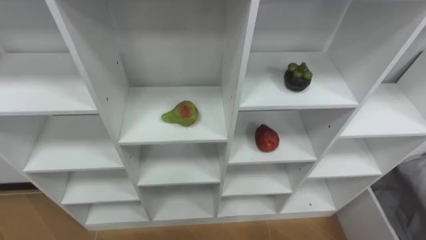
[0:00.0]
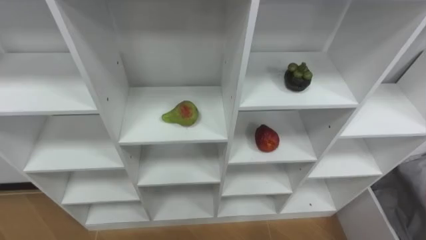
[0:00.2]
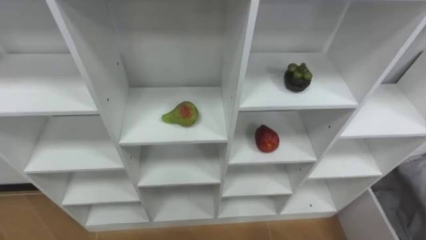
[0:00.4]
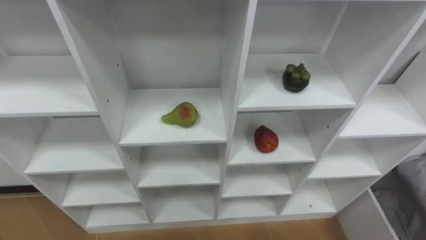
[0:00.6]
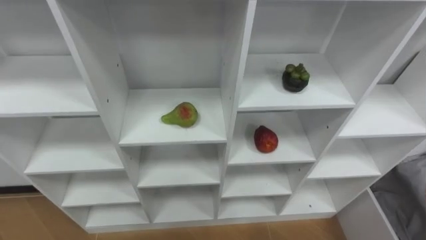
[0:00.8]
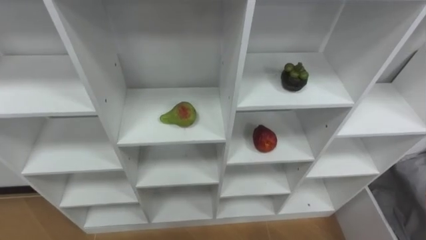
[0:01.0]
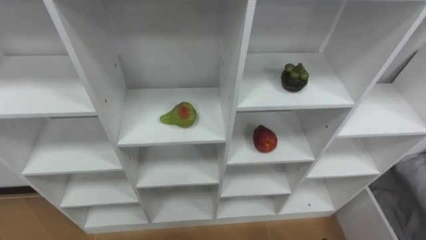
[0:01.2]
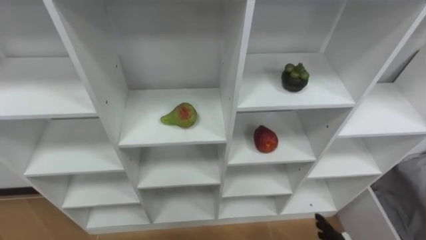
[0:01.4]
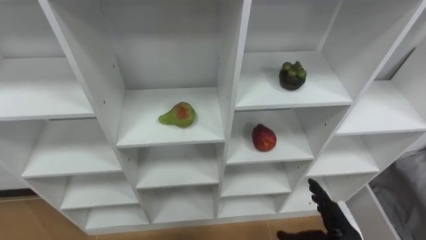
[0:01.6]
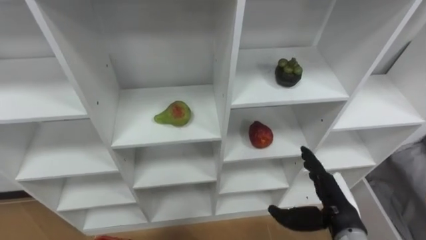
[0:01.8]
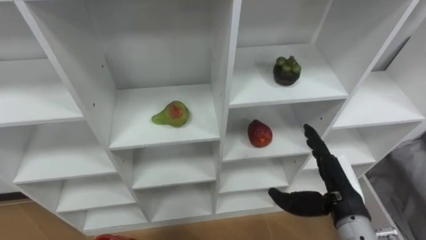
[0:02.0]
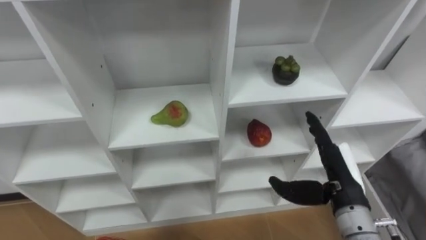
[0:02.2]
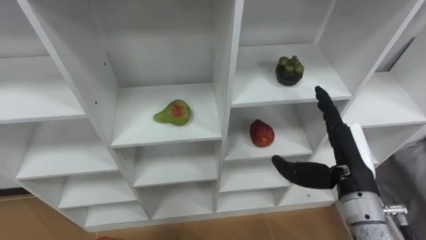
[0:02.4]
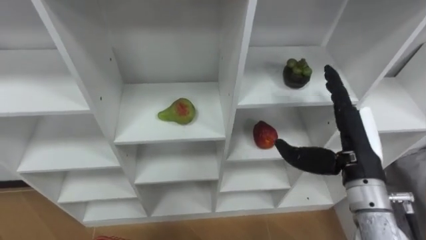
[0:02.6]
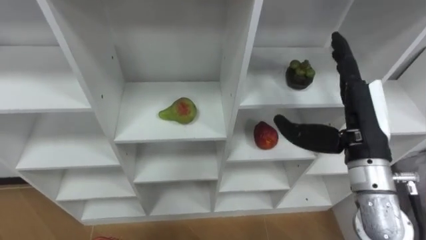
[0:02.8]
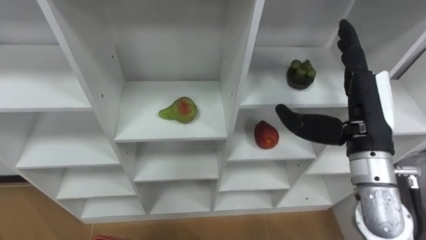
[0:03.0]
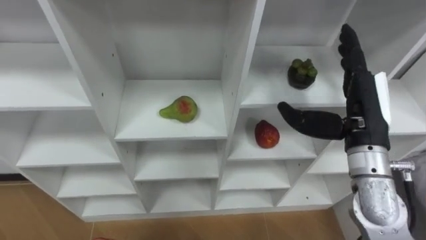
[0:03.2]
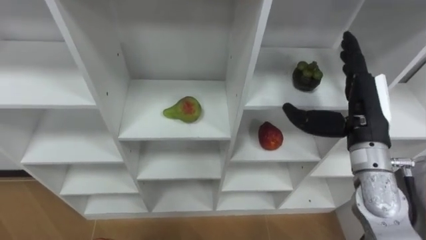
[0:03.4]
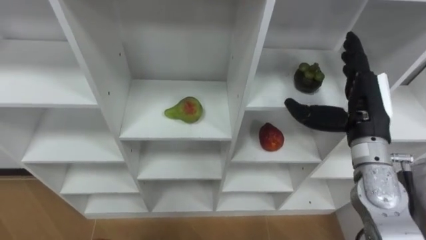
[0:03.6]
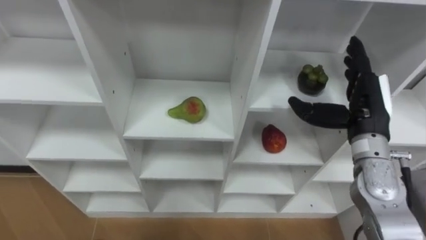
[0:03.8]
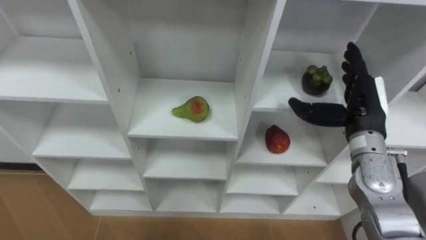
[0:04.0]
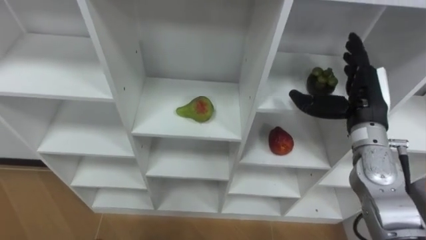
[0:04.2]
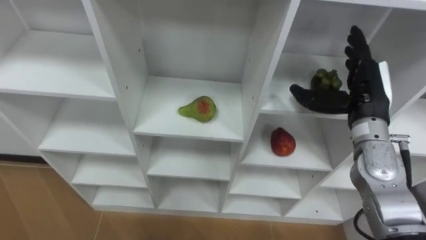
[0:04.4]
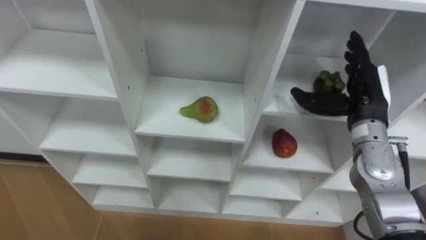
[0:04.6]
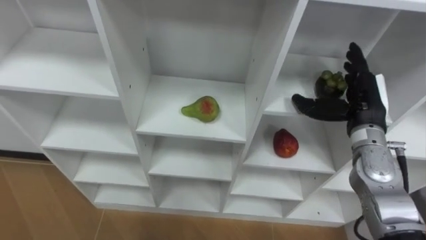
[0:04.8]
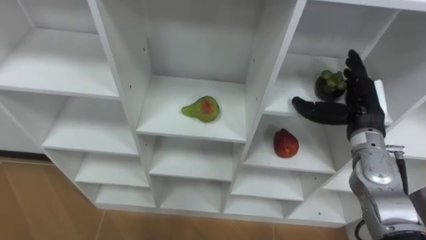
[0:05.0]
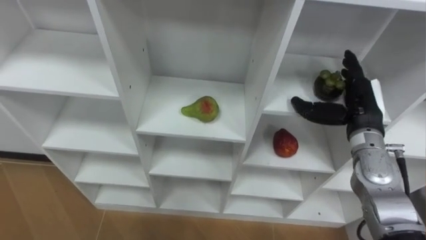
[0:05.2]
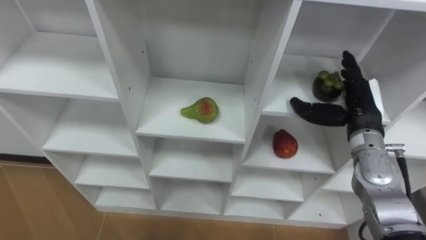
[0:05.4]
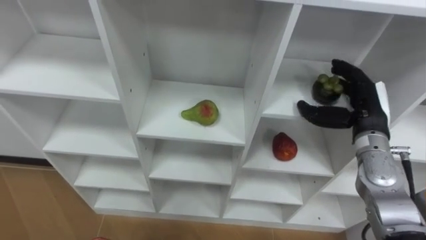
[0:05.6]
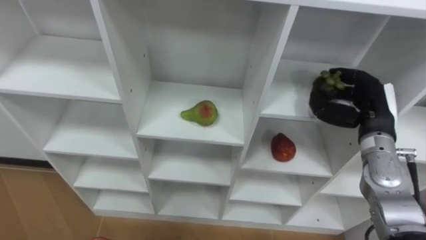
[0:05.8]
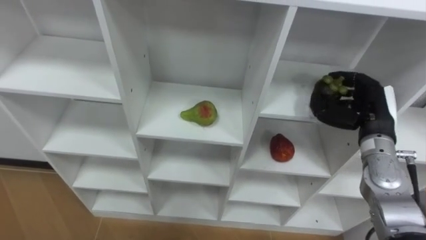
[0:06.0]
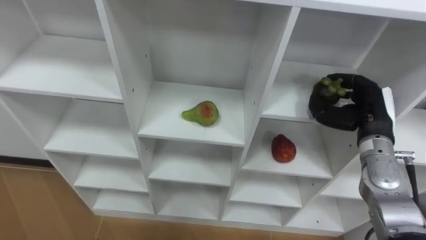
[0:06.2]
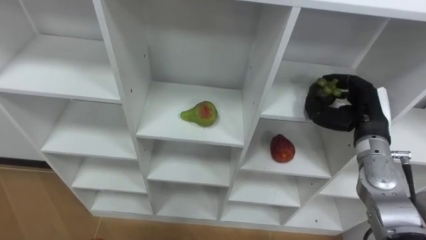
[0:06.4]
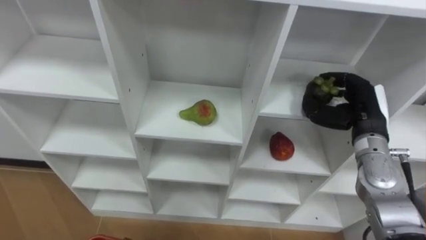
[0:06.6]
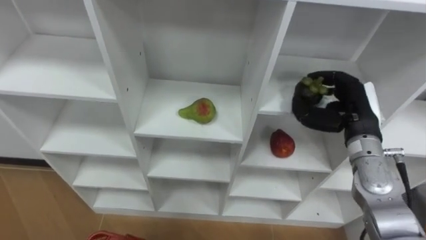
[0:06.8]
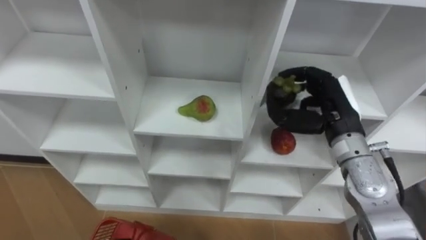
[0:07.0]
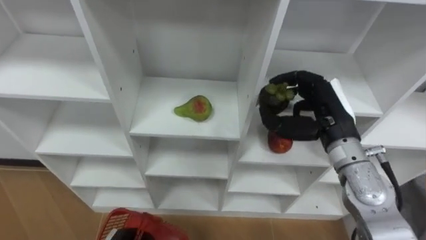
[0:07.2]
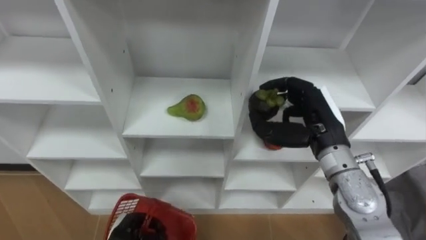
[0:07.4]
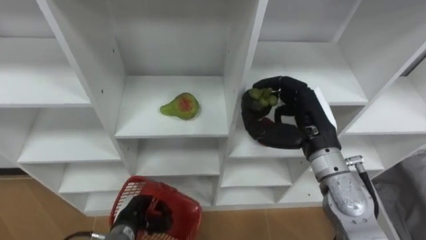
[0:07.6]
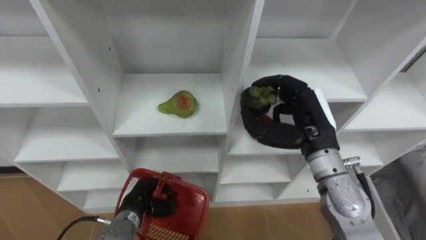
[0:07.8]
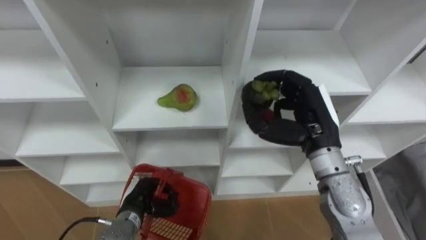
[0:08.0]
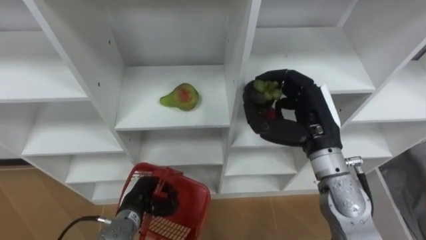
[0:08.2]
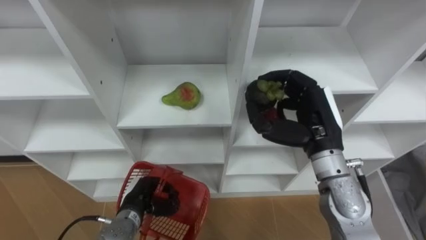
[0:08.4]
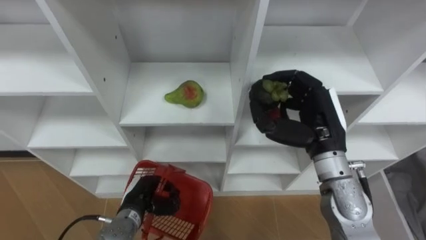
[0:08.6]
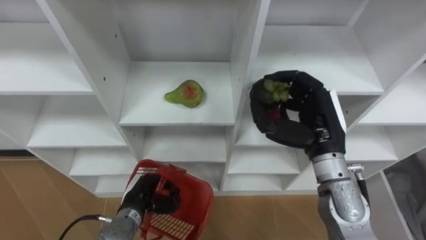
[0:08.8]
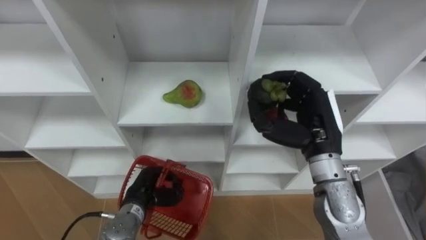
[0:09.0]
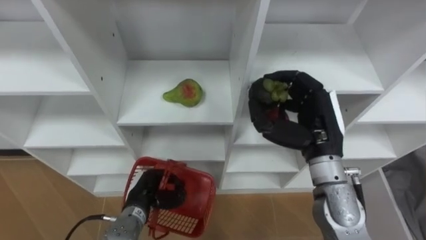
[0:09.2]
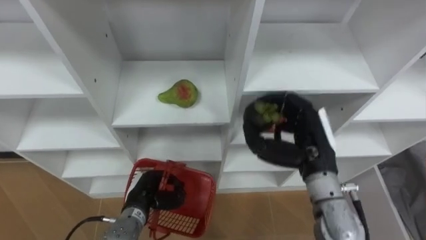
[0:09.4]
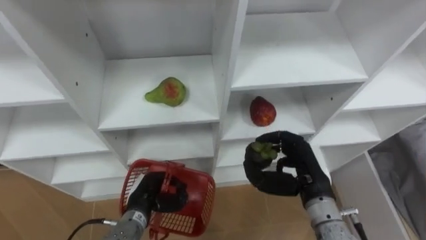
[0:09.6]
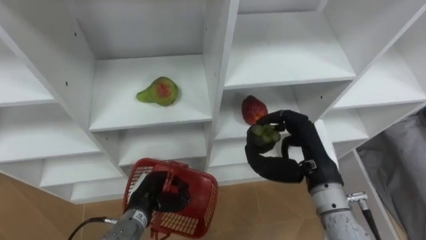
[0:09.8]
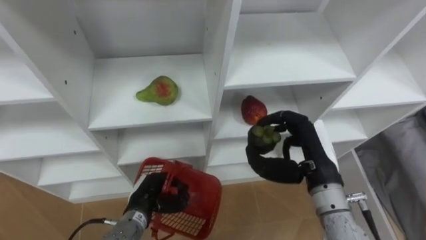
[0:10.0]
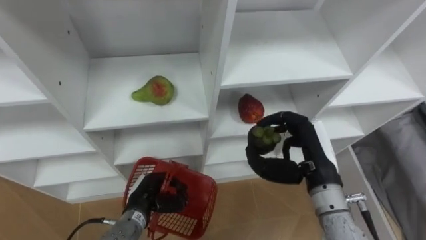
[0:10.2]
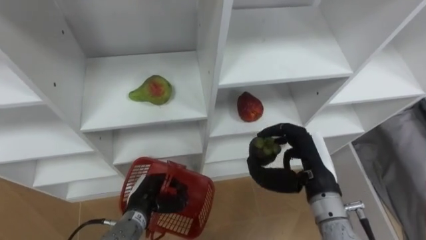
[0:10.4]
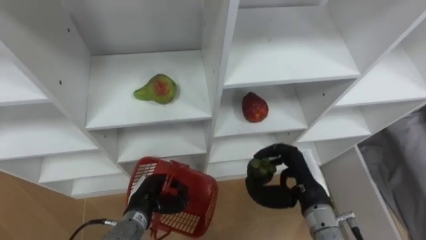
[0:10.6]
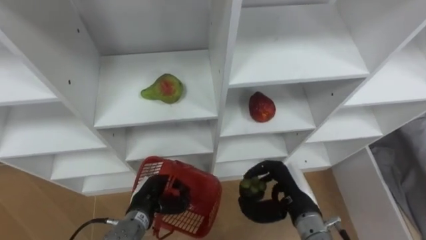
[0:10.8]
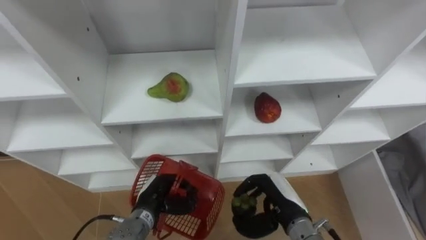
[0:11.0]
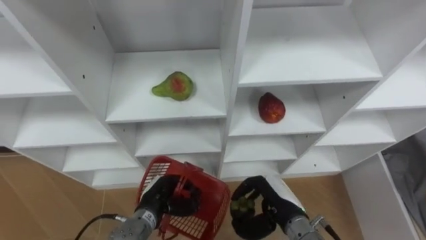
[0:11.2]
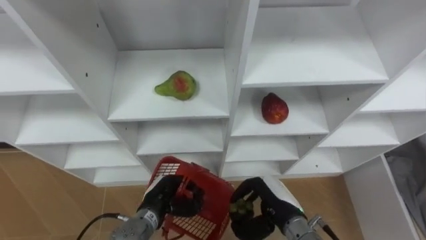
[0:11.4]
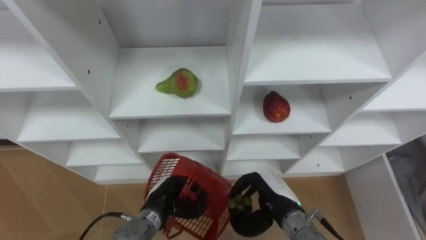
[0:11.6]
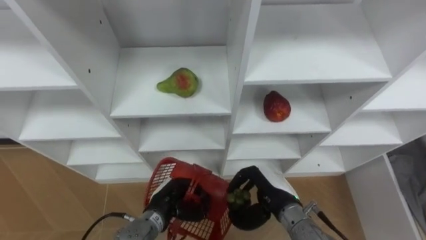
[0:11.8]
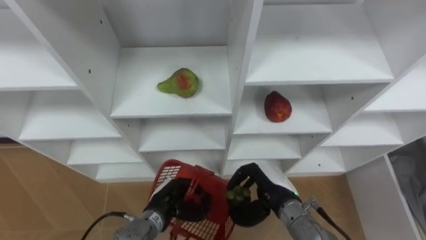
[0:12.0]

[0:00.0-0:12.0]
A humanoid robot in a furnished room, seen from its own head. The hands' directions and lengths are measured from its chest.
Task of the whole recording: Hold the basket and collect the fruits from 3 different cells of the closet into it.
0:01.6 to 0:03.0: The right hand is displaced upward and forward by roughly 25 cm.
0:03.0 to 0:04.4: The right hand heads forward, covering about 5 cm.
0:04.4 to 0:06.0: The right hand heads downward, covering roughly 5 cm, and closes.
0:06.0 to 0:07.6: The right hand is displaced to the left by about 10 cm.
0:07.6 to 0:09.0: The left hand moves some 5 cm.
0:09.0 to 0:10.4: The right hand moves roughly 5 cm.
0:10.4 to 0:12.0: The right hand heads downward and to the left, covering roughly 10 cm.

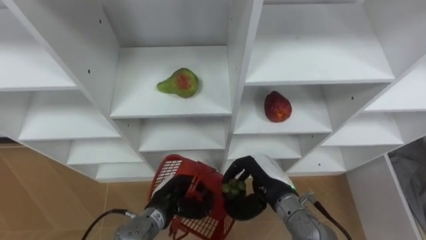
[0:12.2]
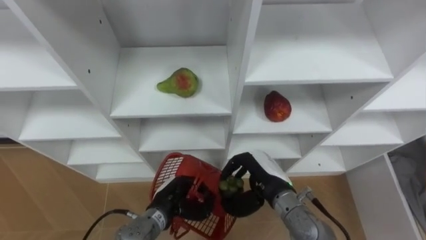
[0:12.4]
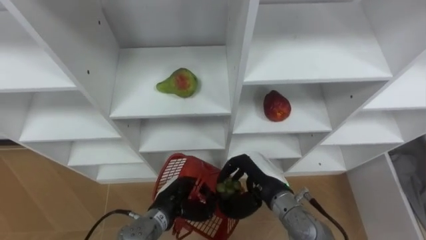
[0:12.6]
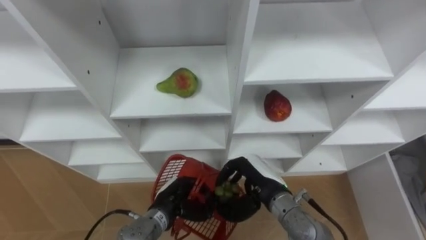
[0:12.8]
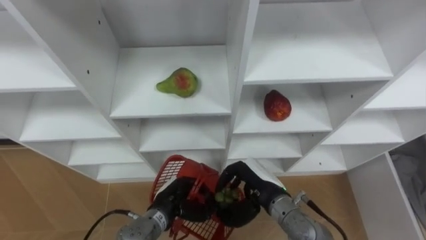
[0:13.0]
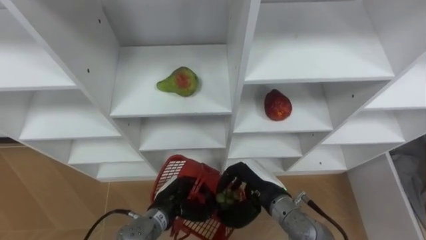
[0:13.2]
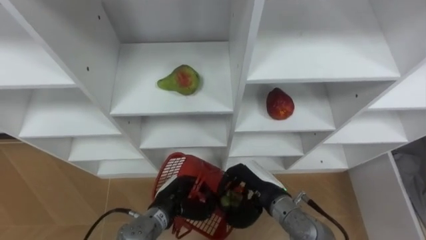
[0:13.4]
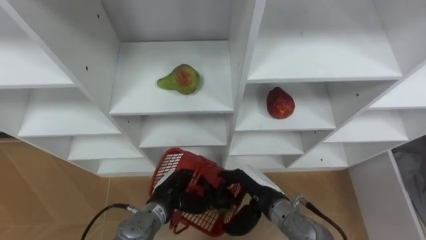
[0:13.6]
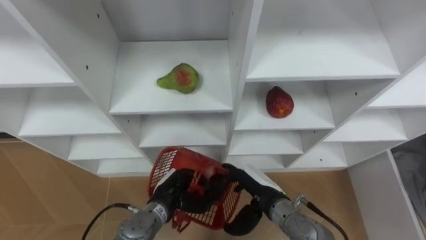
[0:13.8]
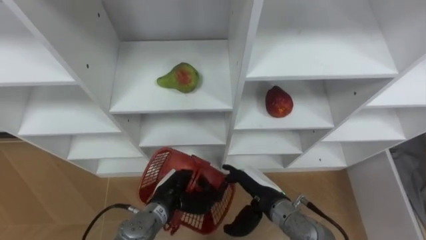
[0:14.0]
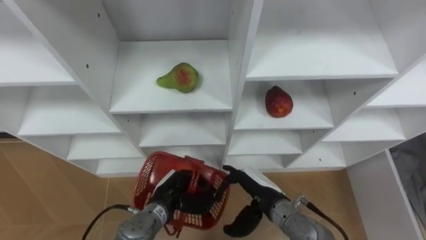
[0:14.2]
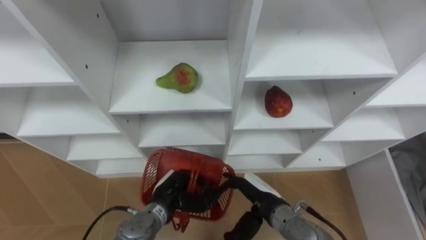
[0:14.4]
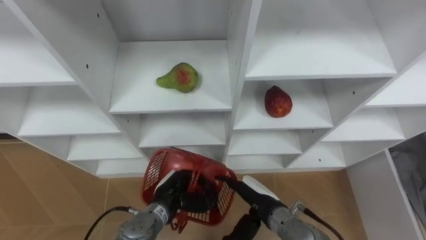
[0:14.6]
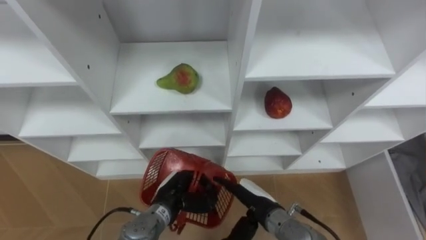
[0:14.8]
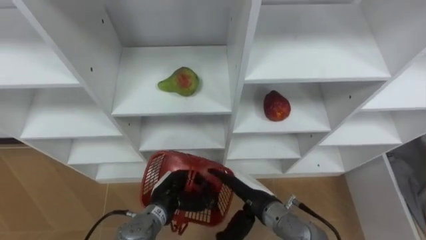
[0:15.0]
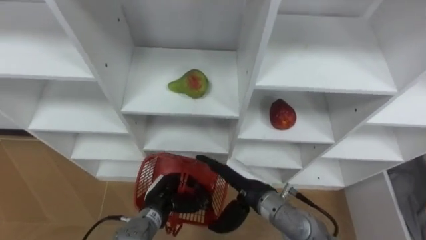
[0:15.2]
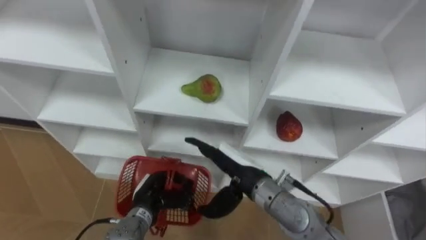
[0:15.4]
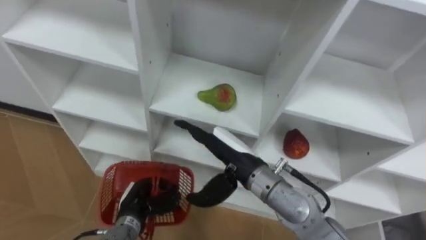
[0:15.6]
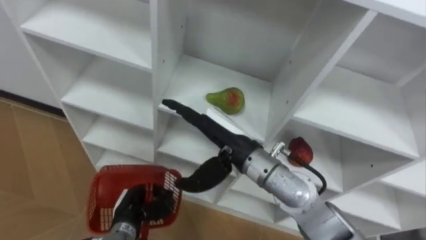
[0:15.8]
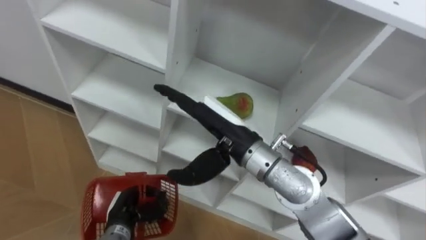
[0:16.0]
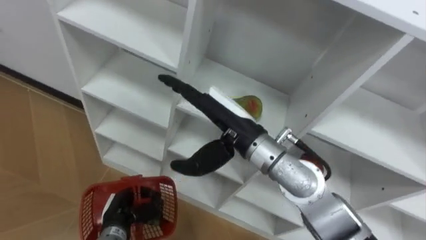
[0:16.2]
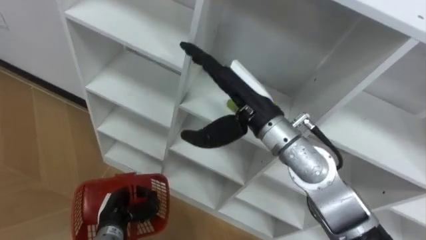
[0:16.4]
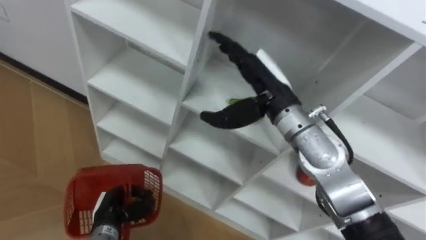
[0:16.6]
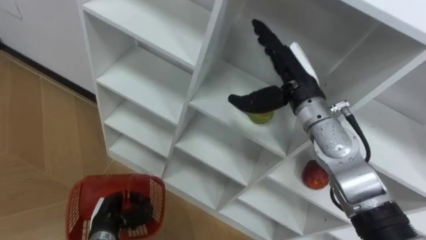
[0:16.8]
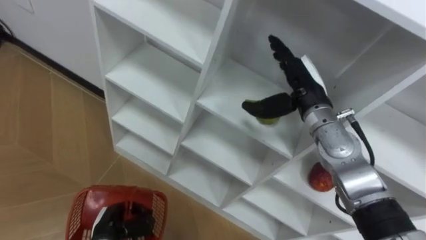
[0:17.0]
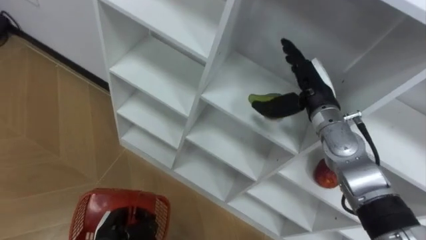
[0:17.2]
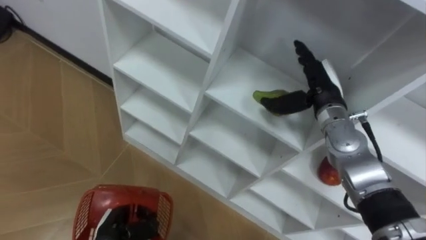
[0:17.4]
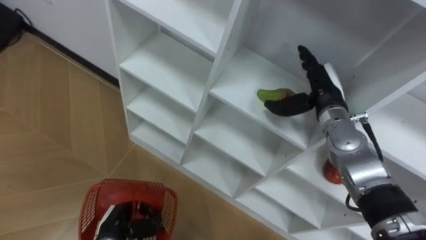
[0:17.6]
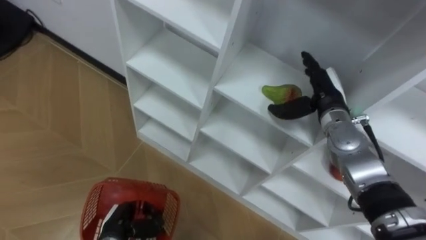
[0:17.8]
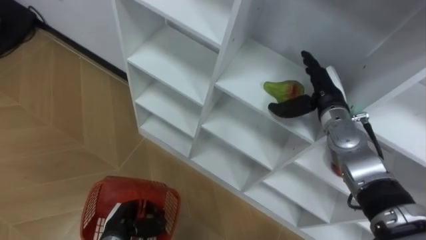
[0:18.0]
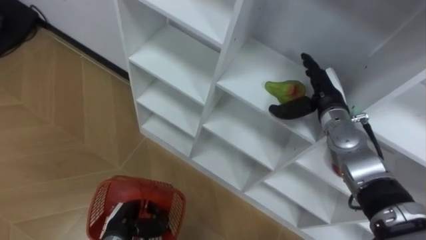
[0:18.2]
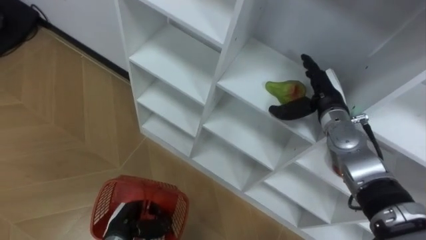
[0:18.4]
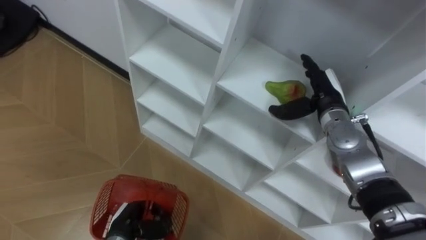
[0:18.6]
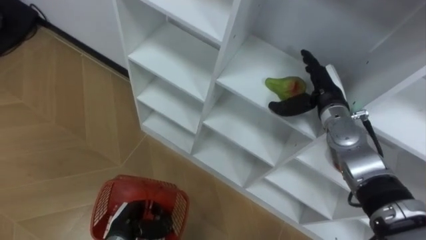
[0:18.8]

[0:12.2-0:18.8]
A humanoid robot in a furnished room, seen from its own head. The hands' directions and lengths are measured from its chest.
Task of the whole recording: Hold the basket and collect the fruits from 3 different cells of the closet into it.
0:12.2 to 0:13.8: The right hand opens.
0:13.8 to 0:15.4: The right hand moves upward, roughly 5 cm.
0:15.4 to 0:17.2: The right hand is displaced to the right, forward and upward by about 20 cm. Meanwhile the left hand is displaced to the left and backward by about 10 cm.
0:17.2 to 0:18.8: The right hand ends up roughly 5 cm from where it was.
